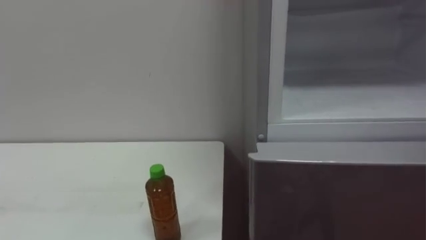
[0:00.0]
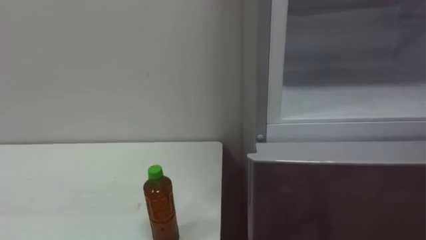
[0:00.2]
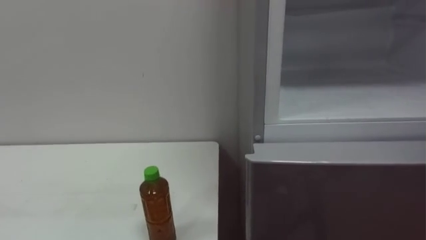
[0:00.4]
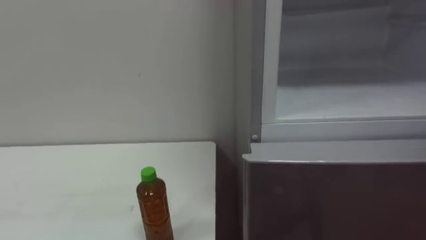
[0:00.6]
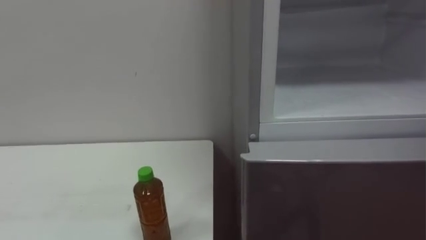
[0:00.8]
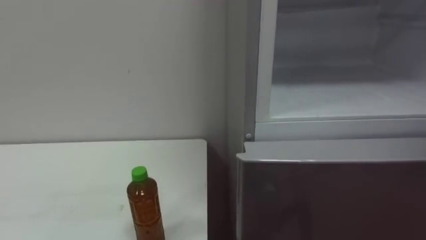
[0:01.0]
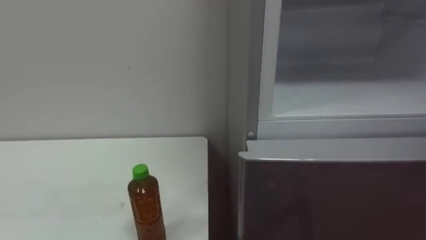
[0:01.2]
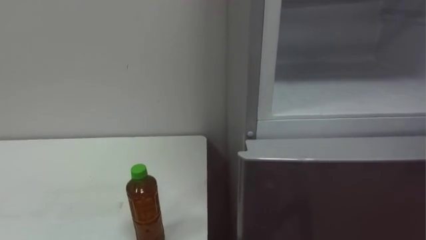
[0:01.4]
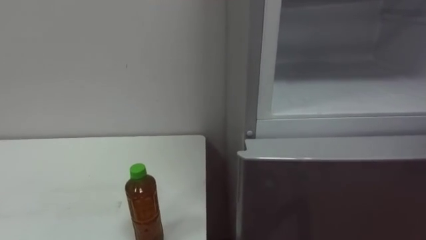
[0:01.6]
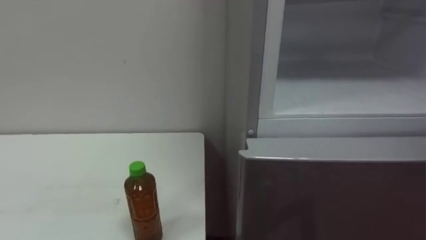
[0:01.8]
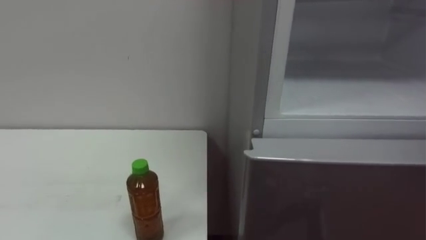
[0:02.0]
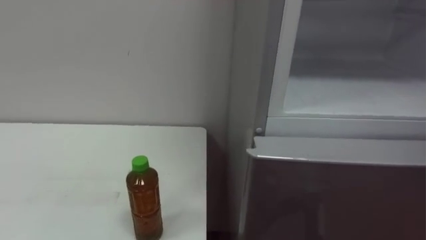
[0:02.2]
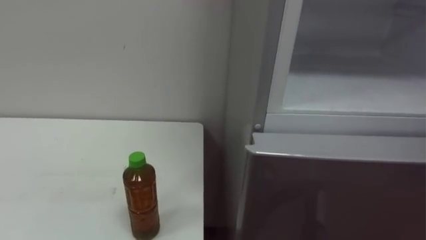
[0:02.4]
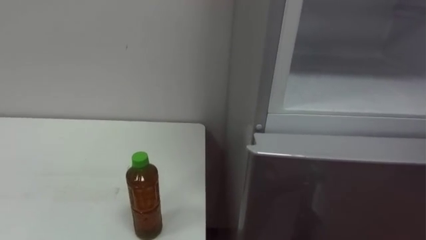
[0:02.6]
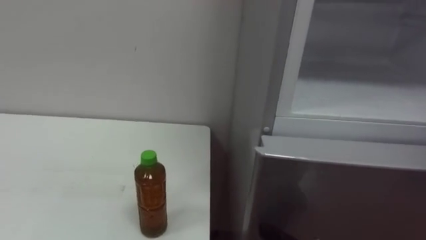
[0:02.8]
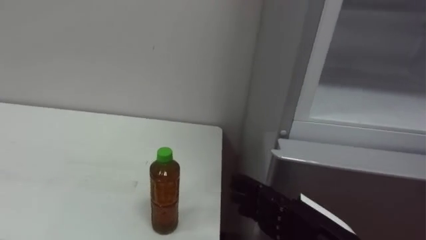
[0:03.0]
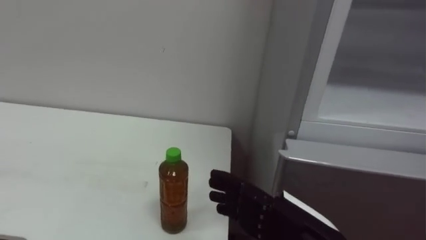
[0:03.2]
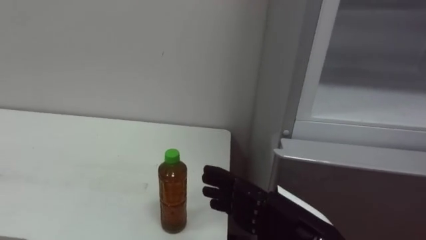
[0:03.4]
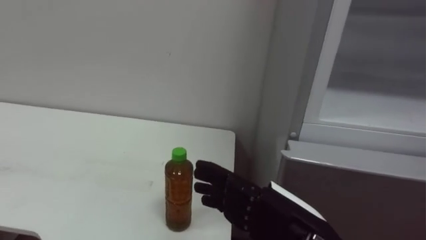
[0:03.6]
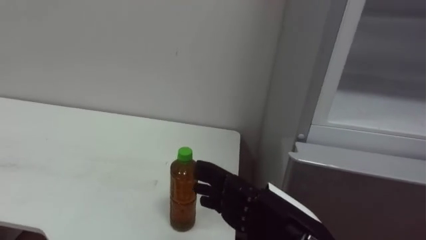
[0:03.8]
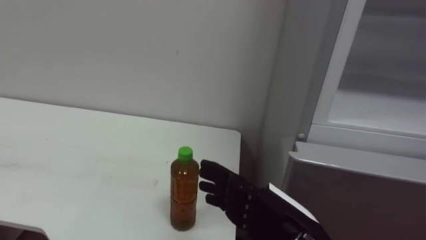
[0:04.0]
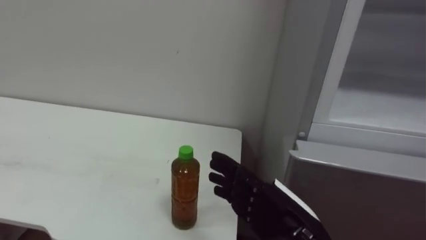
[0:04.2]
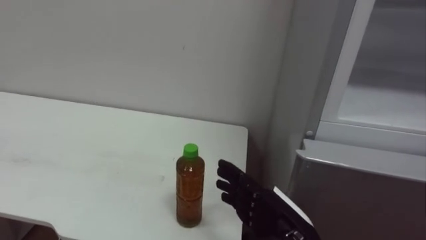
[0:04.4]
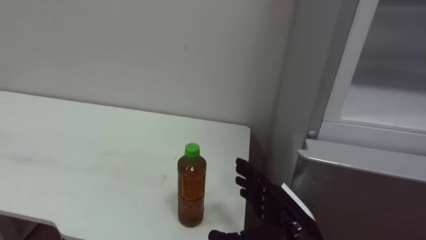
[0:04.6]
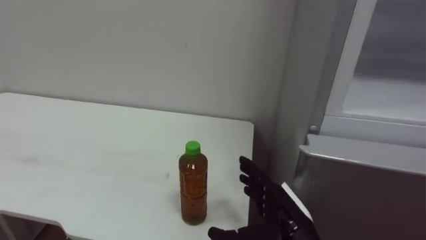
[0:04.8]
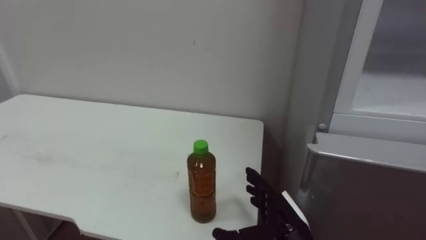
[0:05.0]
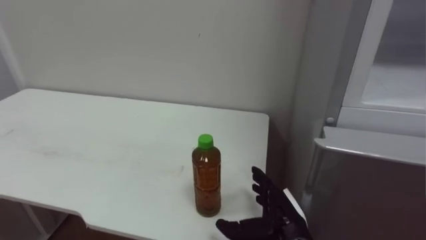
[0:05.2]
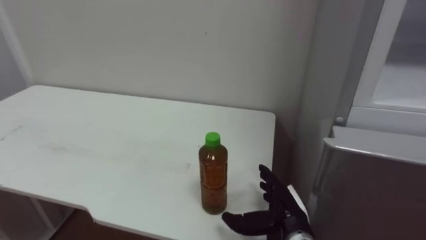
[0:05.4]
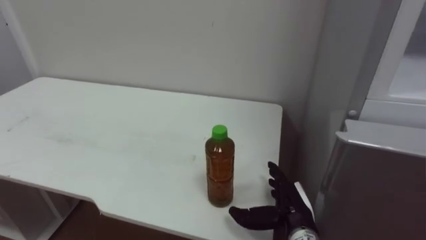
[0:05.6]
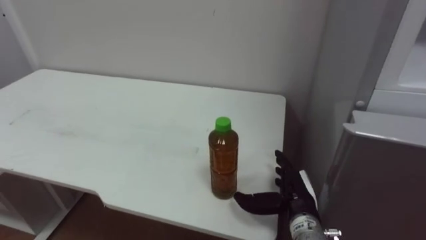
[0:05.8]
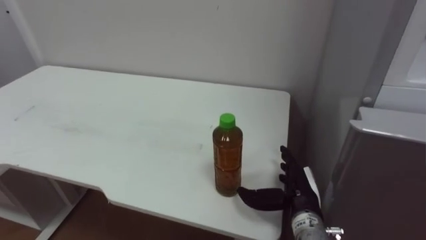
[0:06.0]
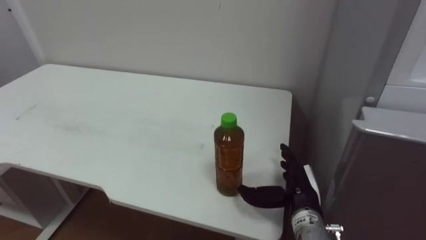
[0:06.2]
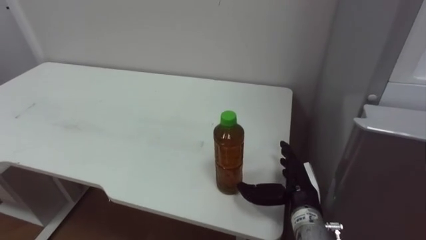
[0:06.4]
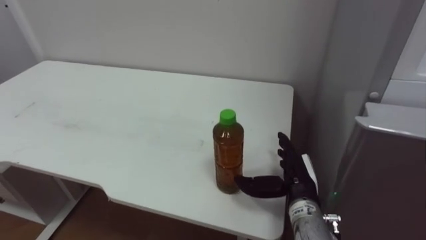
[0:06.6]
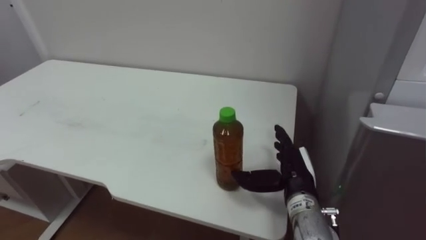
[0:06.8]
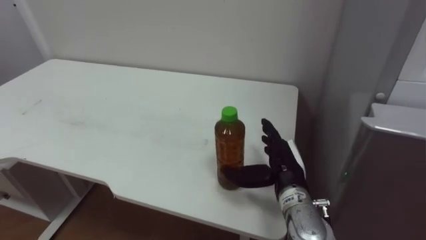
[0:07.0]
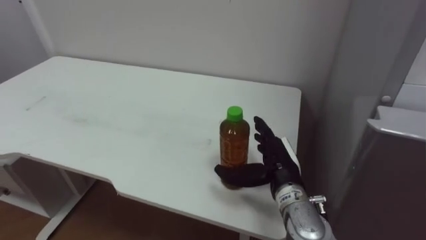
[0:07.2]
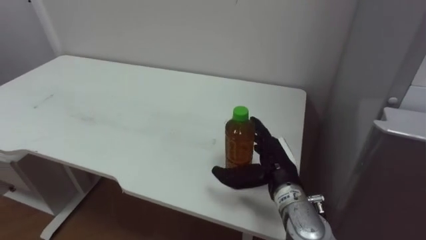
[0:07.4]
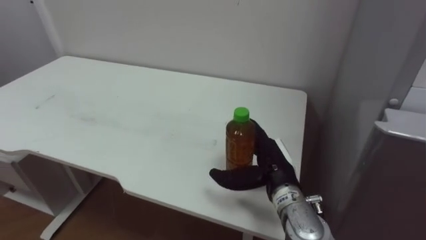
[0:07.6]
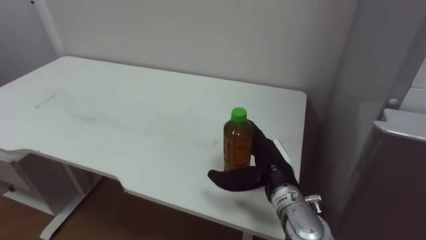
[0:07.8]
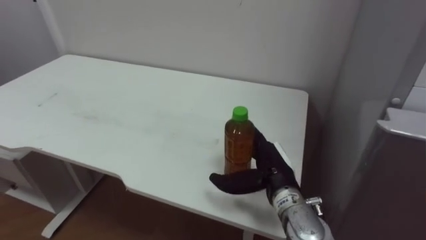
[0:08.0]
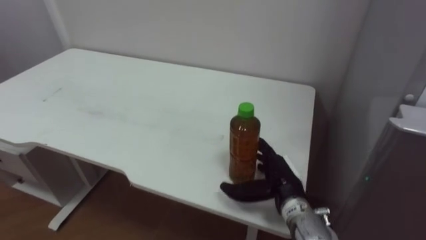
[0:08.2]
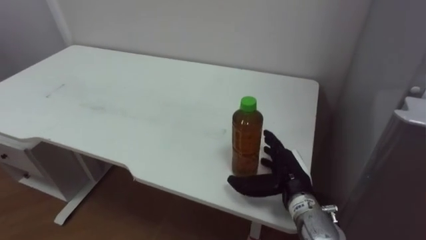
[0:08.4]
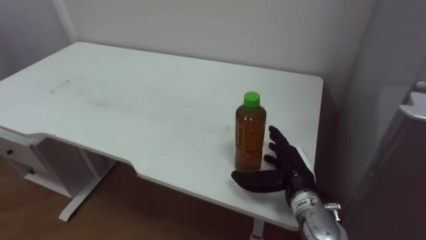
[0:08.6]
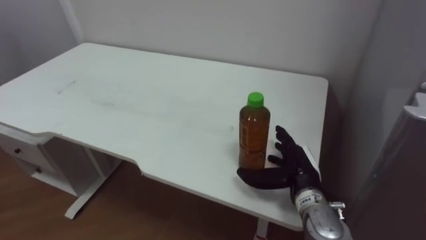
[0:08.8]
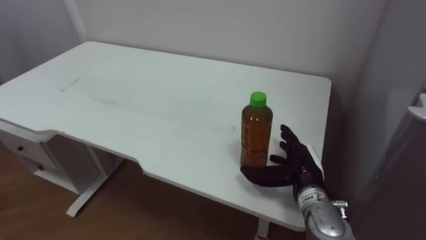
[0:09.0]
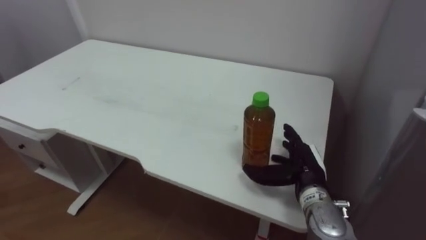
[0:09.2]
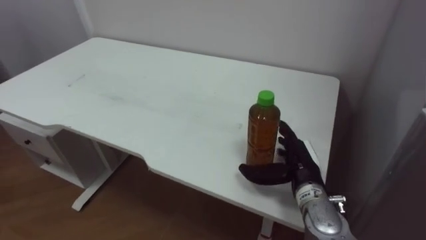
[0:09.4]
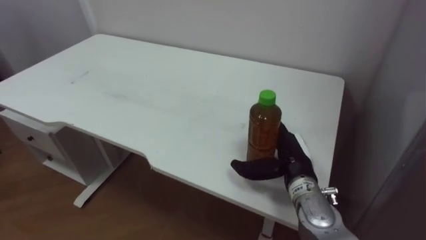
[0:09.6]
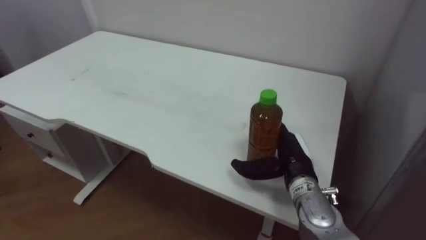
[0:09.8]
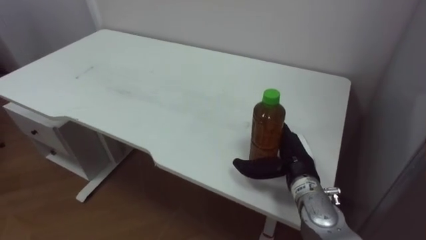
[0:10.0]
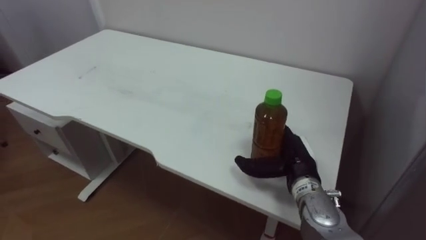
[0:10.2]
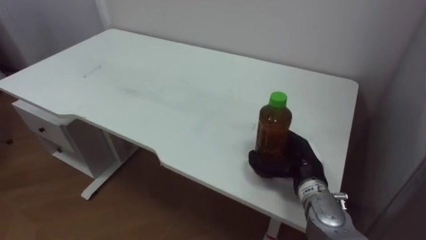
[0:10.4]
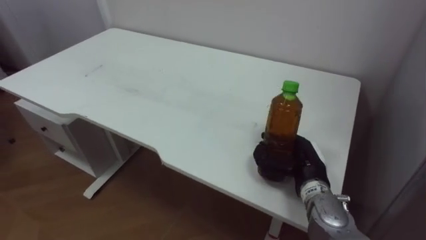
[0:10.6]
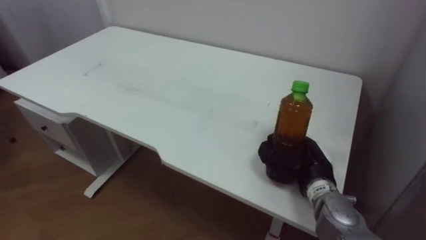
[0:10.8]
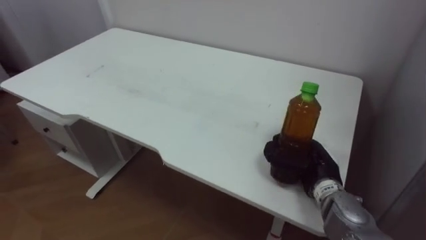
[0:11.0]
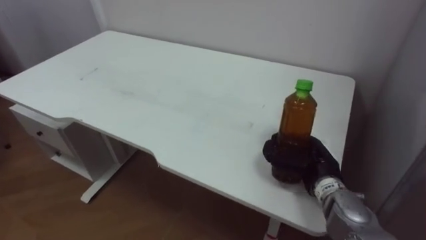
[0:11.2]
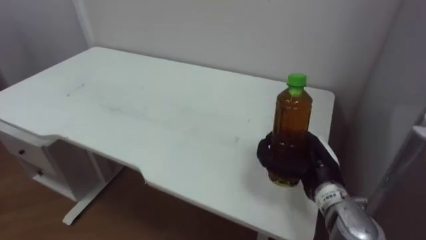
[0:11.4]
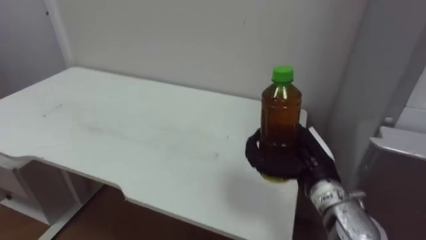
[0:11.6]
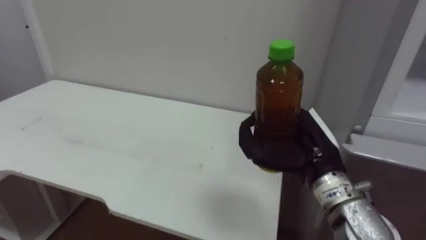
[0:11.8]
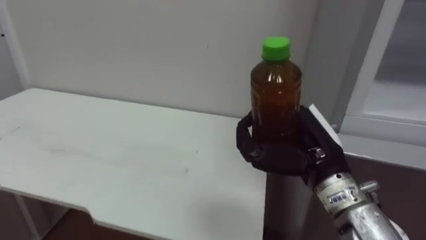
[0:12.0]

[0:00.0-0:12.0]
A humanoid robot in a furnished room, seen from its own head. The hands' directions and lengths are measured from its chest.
Task of the whole recording: Open the upper refrigerator door, put the drink from the table into the refrigerator, and then close the refrigerator door.
0:03.0 to 0:04.4: The right hand changes place by about 5 cm.
0:04.4 to 0:06.0: The right hand is displaced forward and downward by about 10 cm.
0:06.0 to 0:07.6: The right hand travels upward by roughly 5 cm.
0:07.6 to 0:09.0: The right hand travels to the right by about 5 cm.
0:10.4 to 0:12.0: The right hand moves upward and backward, approximately 15 cm, and closes up.

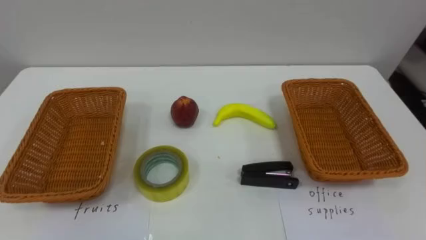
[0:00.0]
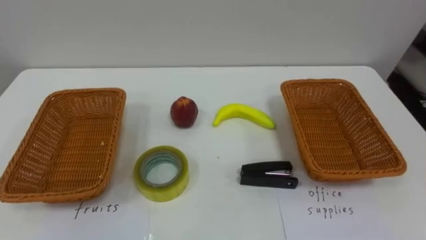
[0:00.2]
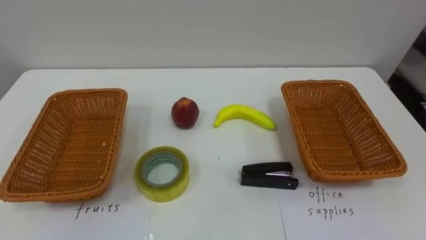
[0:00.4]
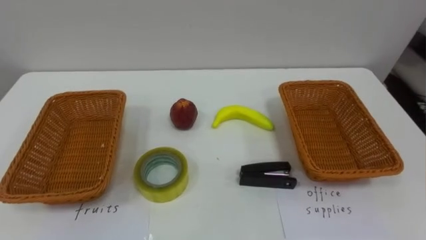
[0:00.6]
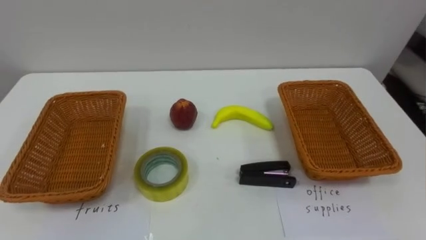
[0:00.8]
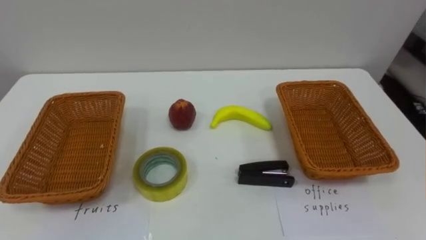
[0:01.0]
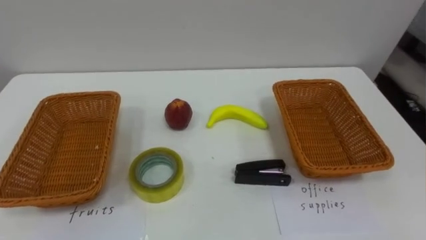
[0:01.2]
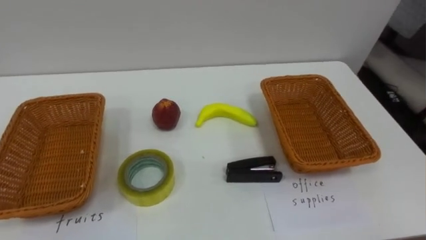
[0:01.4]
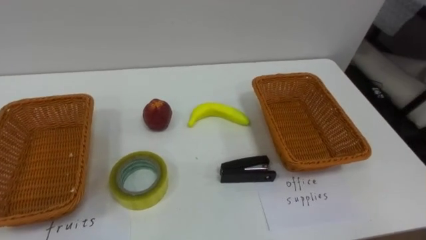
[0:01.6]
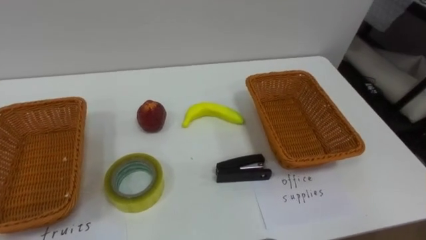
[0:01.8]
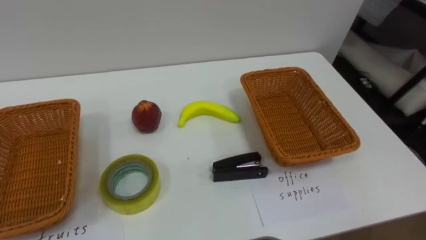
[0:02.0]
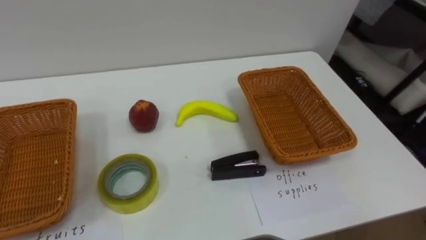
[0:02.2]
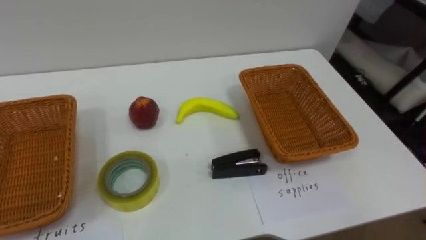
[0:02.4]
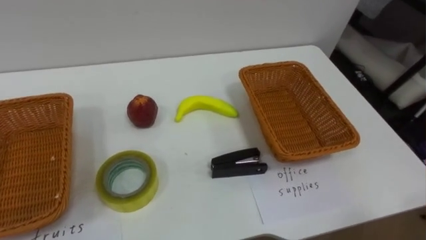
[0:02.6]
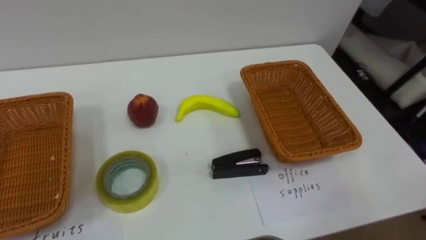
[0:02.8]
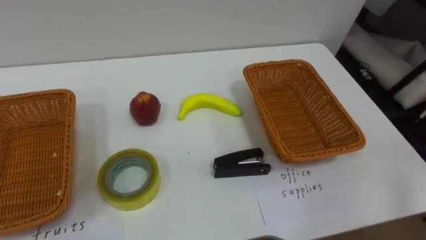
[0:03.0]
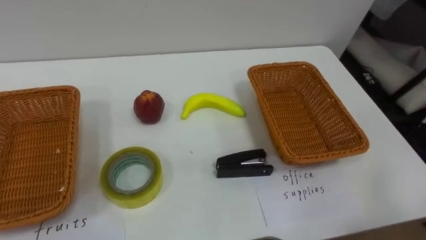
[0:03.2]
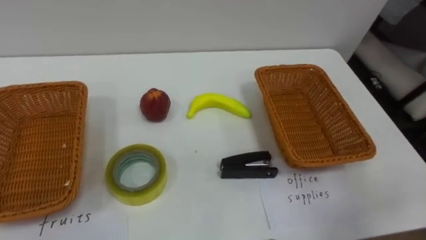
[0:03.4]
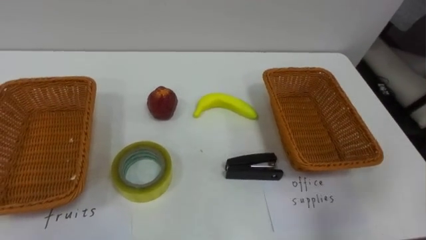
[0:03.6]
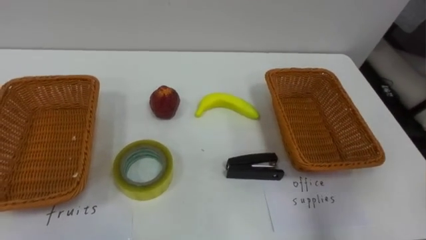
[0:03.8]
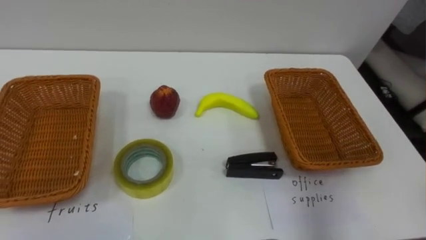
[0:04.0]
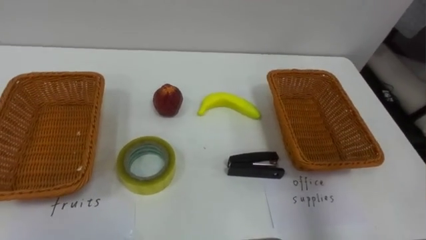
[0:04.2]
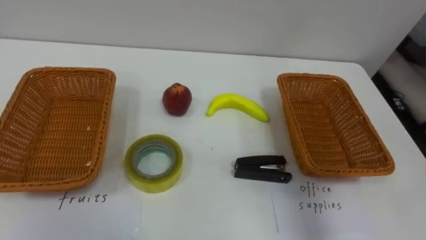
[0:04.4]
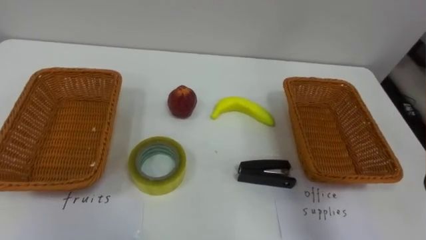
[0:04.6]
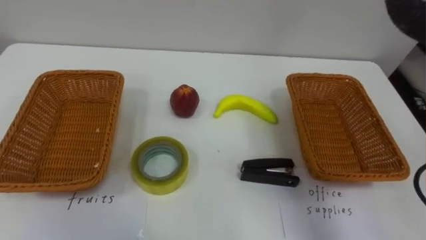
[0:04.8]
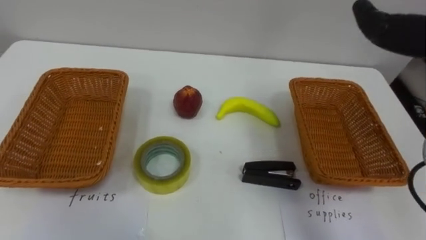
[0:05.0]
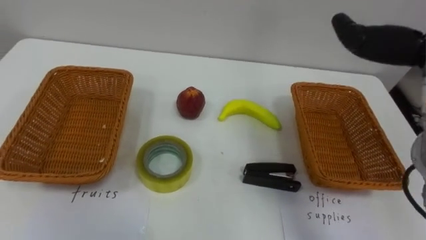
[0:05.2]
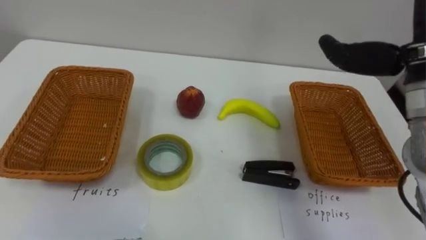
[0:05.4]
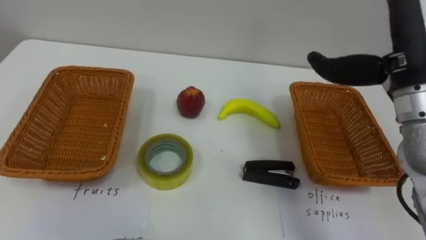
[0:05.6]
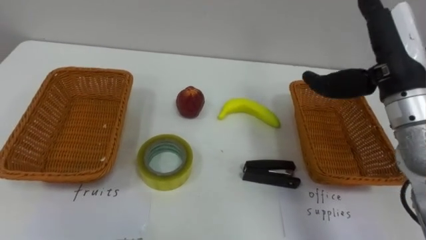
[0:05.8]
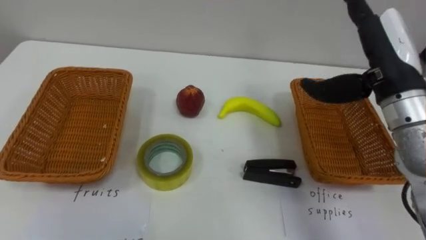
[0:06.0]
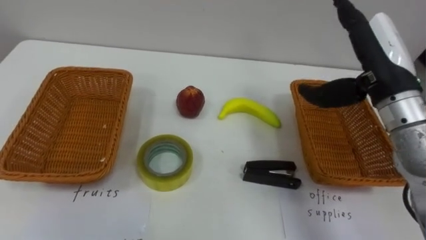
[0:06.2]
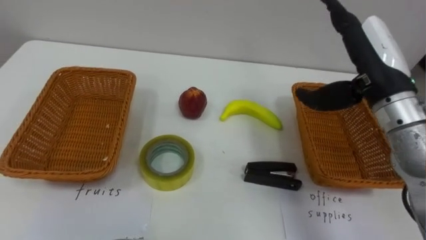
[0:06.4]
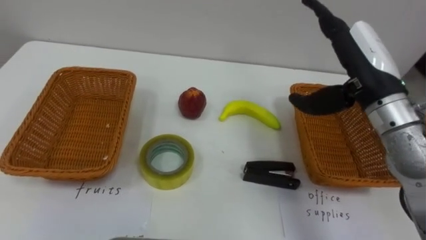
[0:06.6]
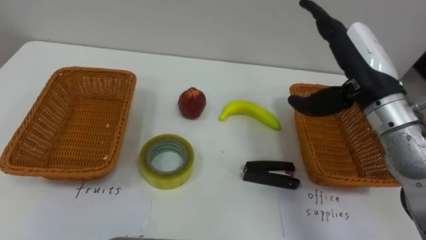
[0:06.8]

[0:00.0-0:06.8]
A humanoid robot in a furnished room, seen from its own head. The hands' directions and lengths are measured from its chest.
Task of the whole recording: Separate the items on the table and place them into the two baskets.
0:05.4 to 0:06.8: The right hand is displaced downward by roughly 5 cm.
